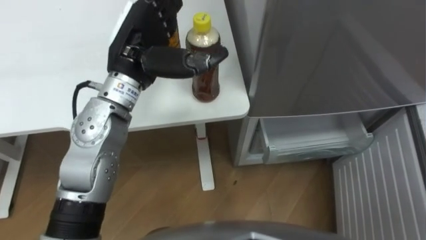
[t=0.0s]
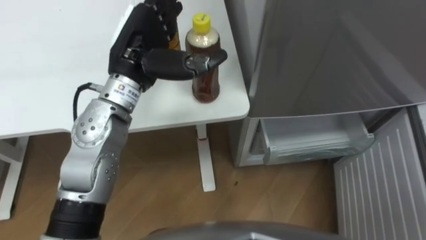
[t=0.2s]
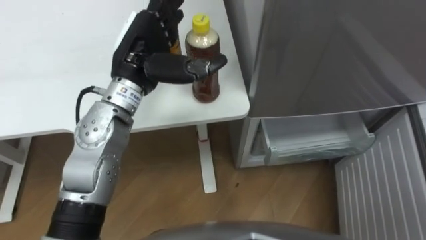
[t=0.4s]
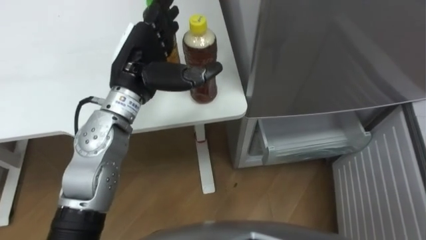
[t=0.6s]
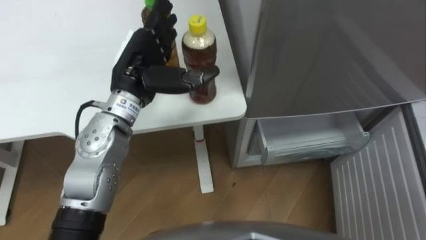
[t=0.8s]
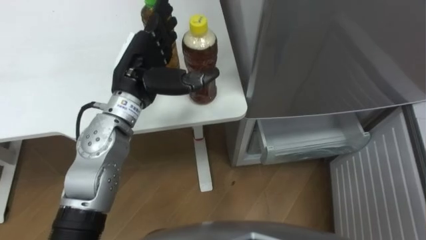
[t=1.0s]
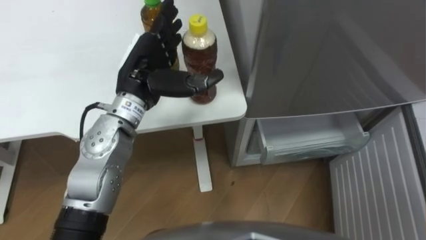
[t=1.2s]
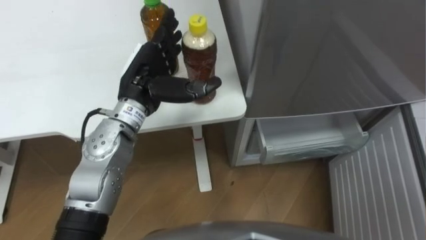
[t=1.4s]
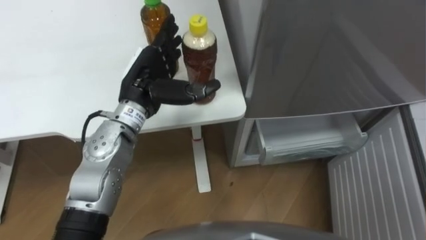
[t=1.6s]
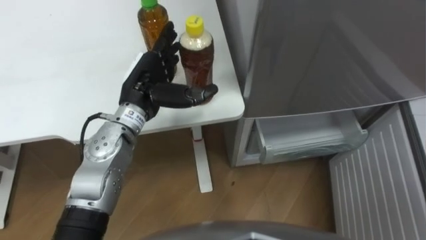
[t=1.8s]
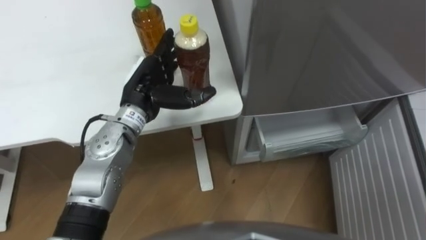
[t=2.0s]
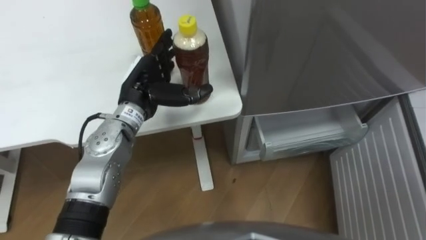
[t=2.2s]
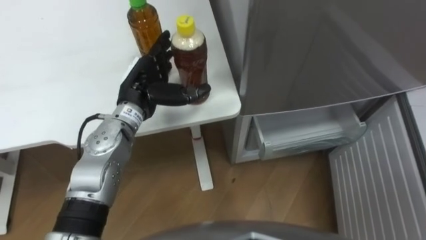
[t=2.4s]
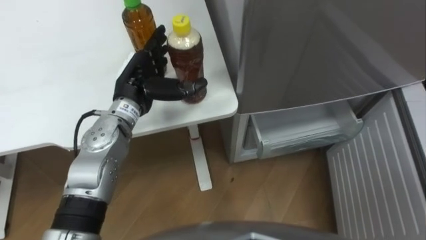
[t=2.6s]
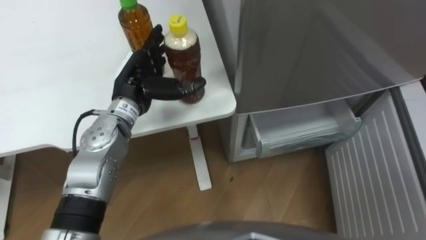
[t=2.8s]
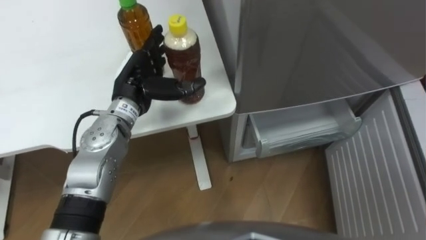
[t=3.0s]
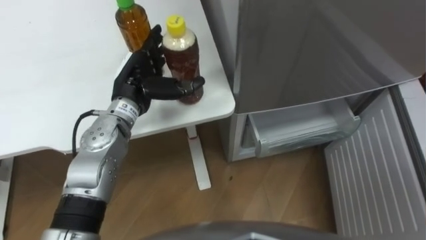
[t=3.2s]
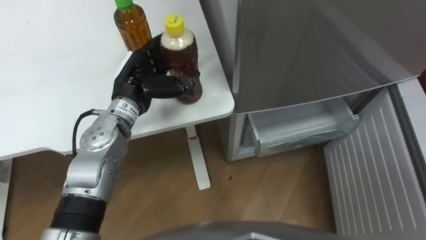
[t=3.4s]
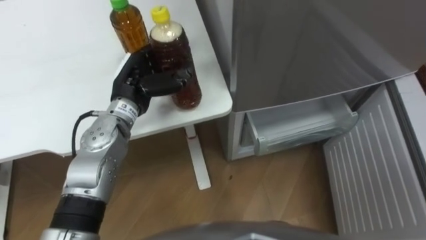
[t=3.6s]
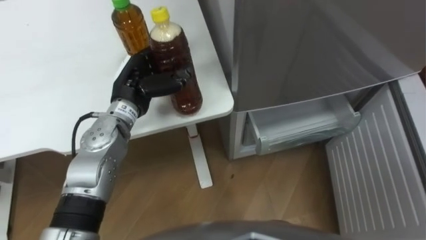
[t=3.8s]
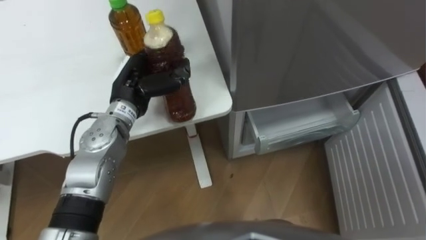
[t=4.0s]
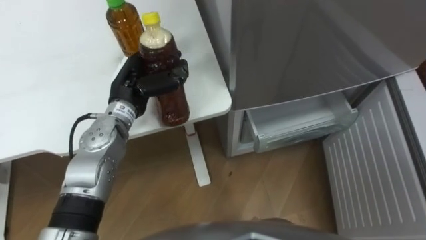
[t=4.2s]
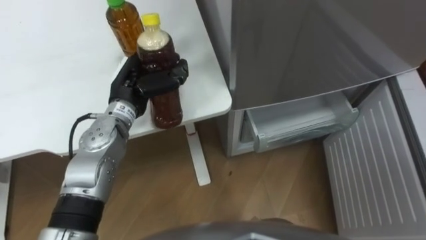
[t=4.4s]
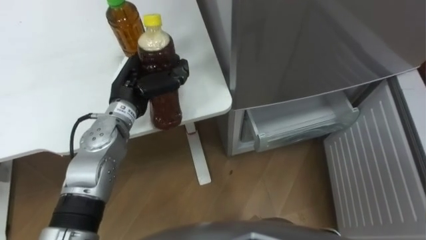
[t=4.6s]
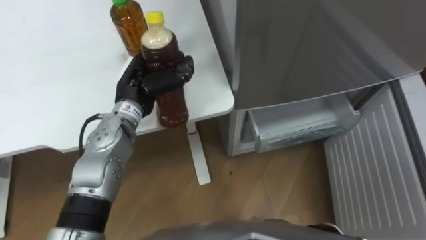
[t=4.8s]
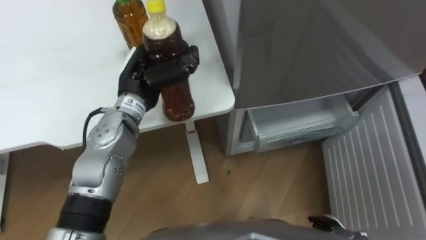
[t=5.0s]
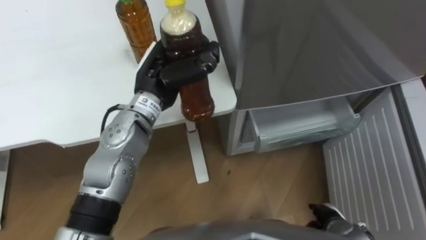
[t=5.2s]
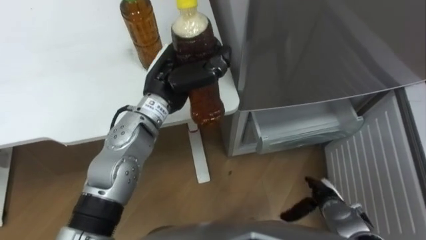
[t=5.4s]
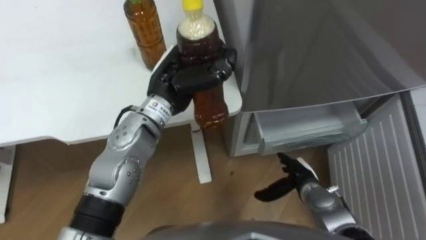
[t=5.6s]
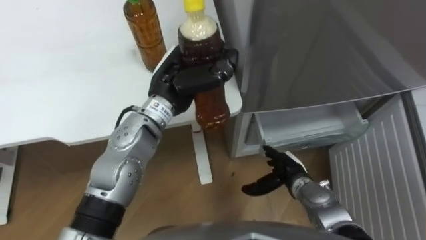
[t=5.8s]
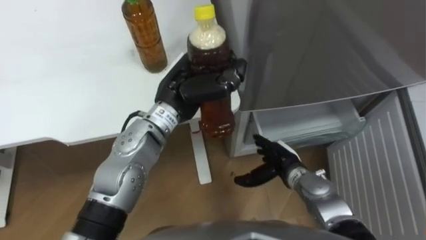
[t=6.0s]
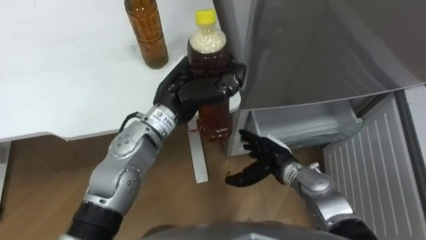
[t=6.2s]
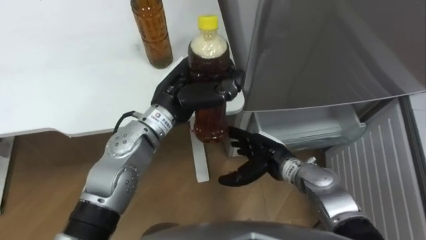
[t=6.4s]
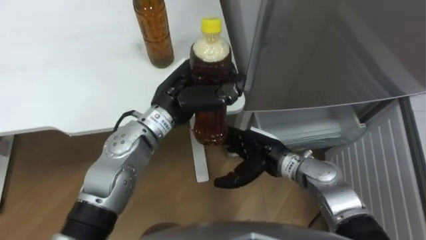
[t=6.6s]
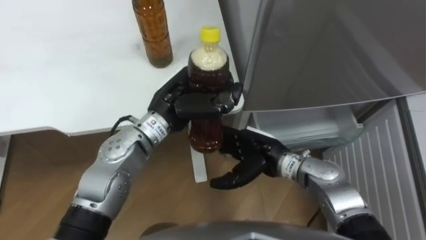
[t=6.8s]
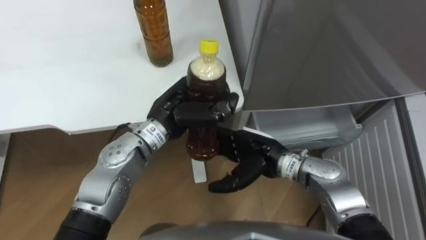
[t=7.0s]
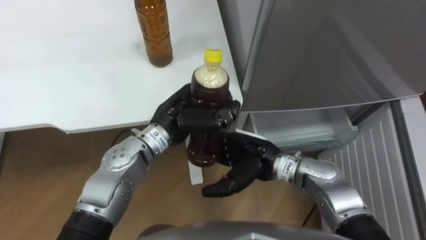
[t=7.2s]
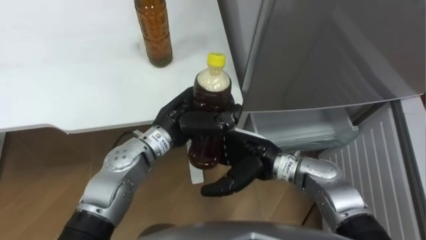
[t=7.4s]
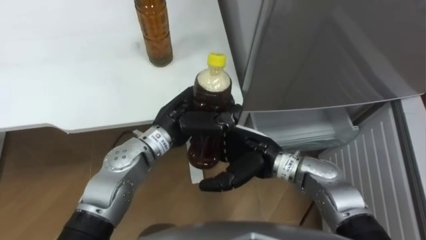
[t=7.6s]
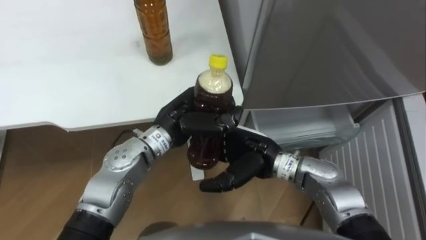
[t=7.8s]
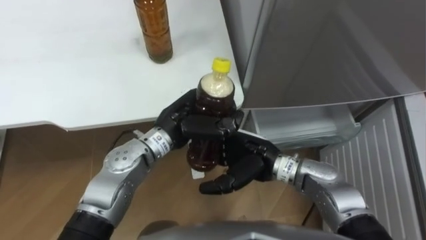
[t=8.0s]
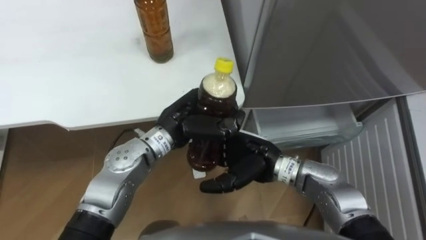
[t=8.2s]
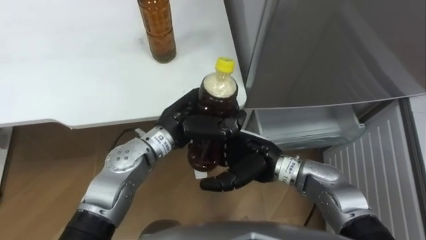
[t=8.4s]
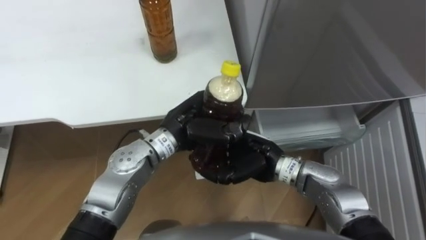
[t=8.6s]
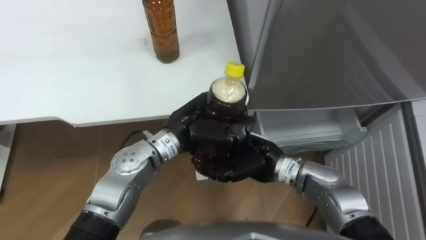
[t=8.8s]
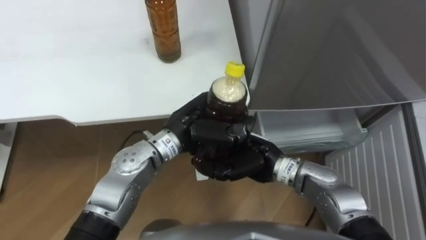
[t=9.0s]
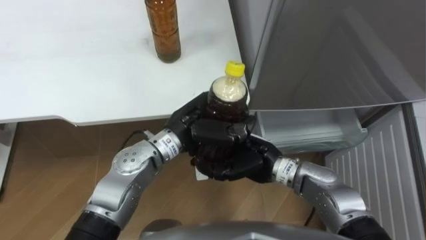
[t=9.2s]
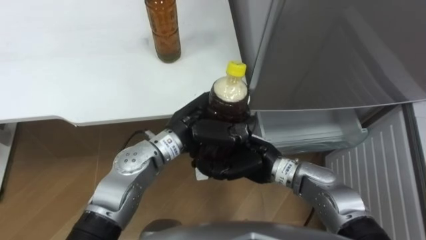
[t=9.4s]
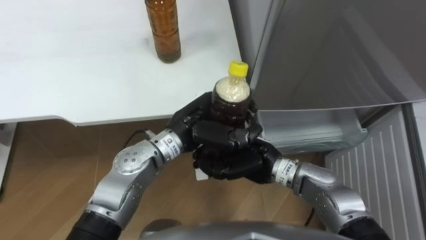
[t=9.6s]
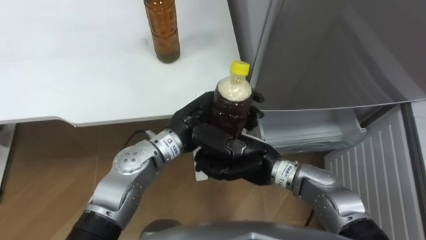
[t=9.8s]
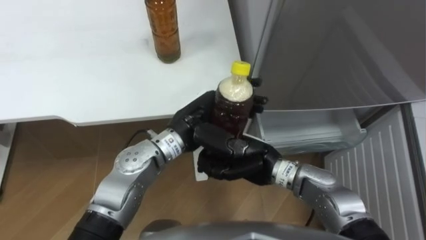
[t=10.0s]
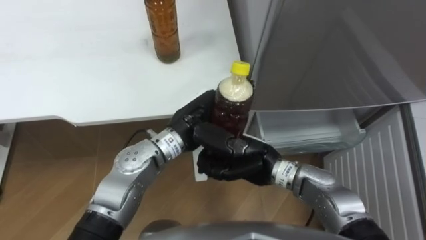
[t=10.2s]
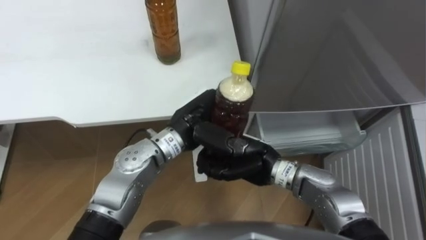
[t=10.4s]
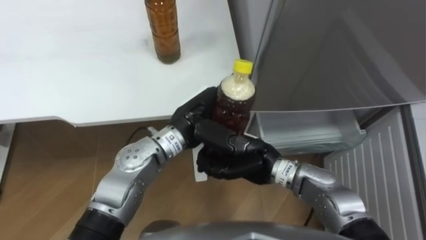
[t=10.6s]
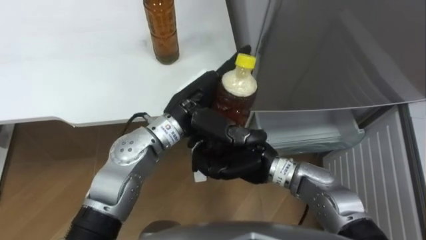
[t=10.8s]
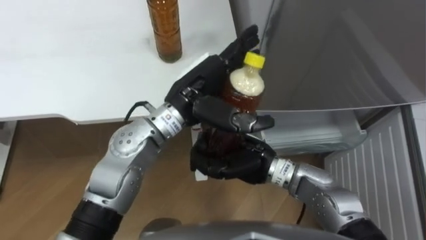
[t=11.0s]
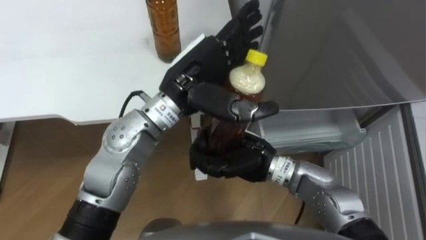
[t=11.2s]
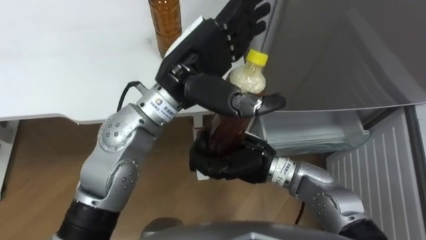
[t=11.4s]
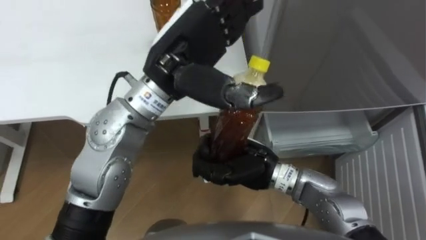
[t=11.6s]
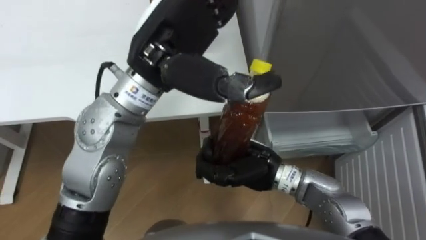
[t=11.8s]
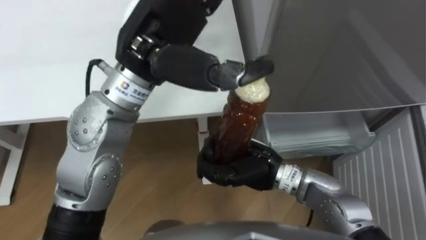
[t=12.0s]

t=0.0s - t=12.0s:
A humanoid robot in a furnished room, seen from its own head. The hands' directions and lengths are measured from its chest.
Task of the whole recording: Place the drink on the table on the bottom shelf of the refrigerator, then close the drawer and the refrigerator door.
t=0.0s - t=1.6s: The left hand shifts about 10 cm downward.
t=3.0s - t=4.4s: The left hand closes its fingers.
t=4.4s - t=6.0s: The left hand heads to the right, covering roughly 10 cm.
t=6.0s - t=7.6s: The left hand heads downward, covering some 5 cm; the right hand shifts roughly 15 cm upward and to the left.
t=7.6s - t=9.0s: The right hand closes.
t=9.0s - t=10.4s: The left hand opens its fingers.
t=10.4s - t=12.0s: The left hand goes about 20 cm upward.

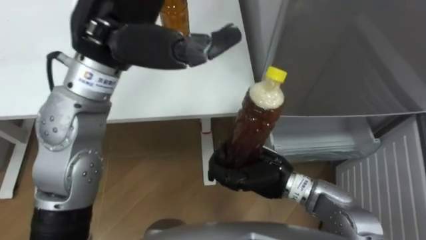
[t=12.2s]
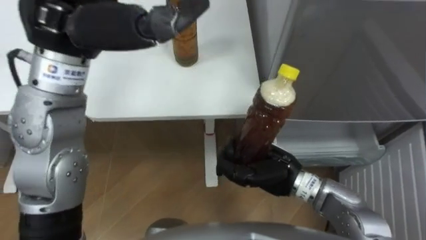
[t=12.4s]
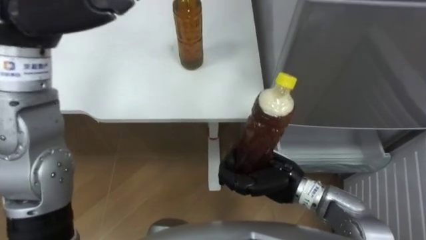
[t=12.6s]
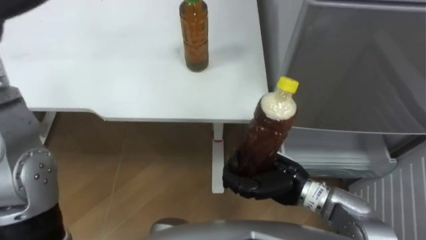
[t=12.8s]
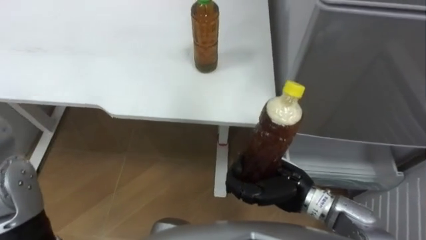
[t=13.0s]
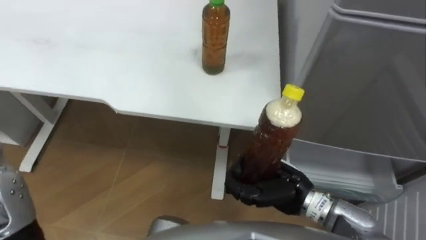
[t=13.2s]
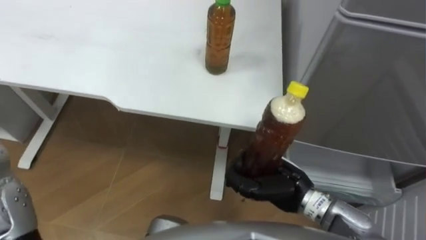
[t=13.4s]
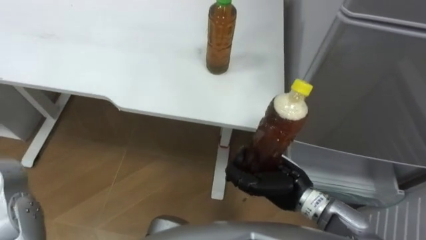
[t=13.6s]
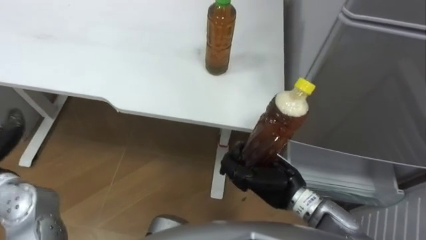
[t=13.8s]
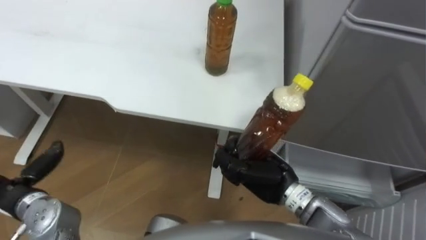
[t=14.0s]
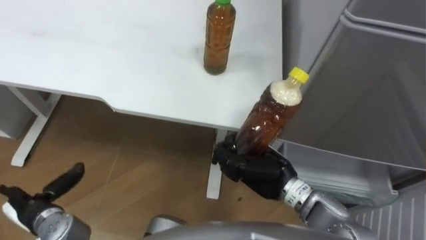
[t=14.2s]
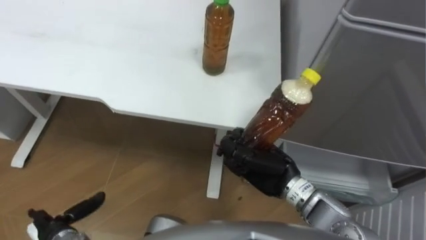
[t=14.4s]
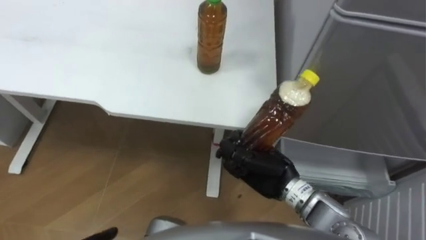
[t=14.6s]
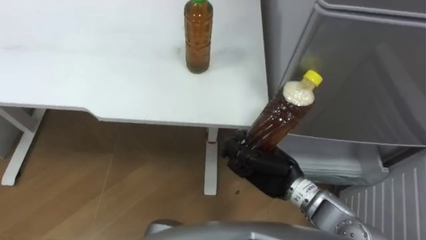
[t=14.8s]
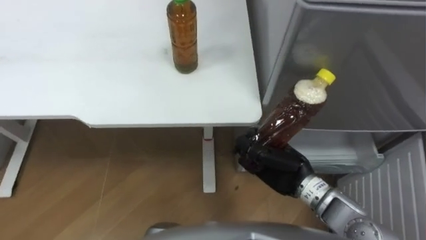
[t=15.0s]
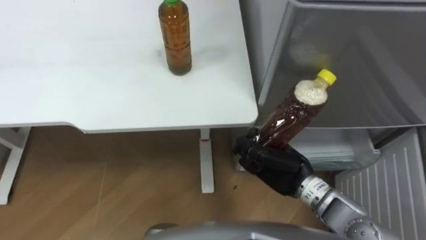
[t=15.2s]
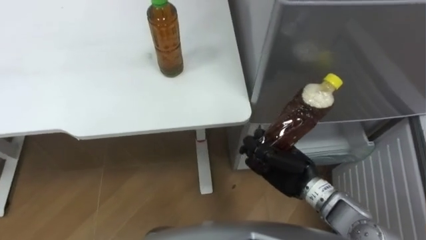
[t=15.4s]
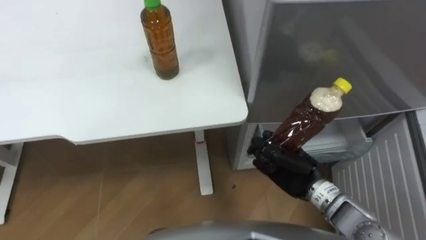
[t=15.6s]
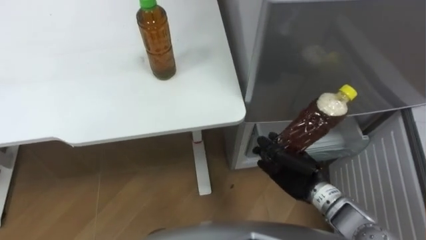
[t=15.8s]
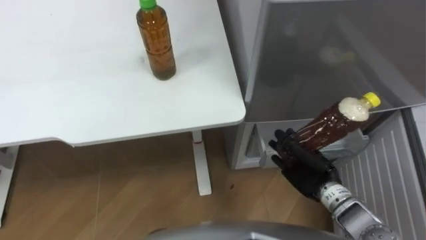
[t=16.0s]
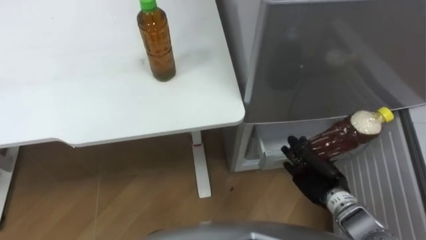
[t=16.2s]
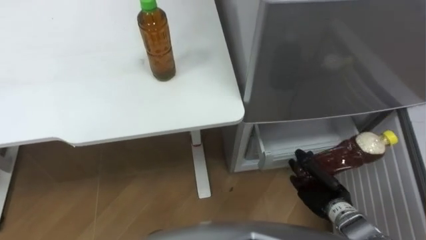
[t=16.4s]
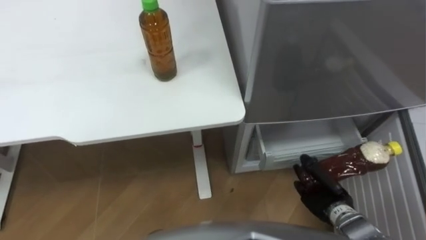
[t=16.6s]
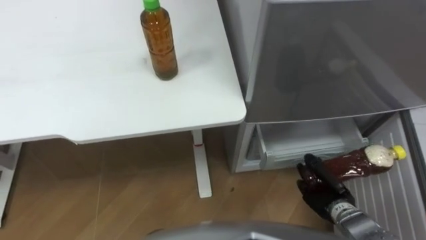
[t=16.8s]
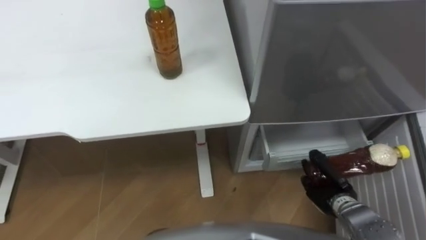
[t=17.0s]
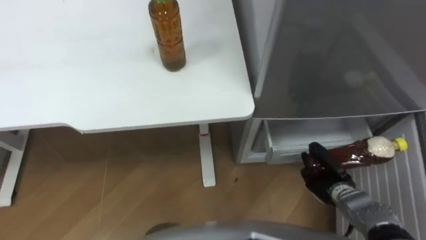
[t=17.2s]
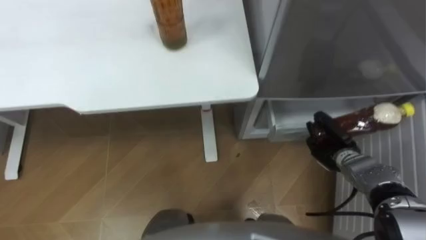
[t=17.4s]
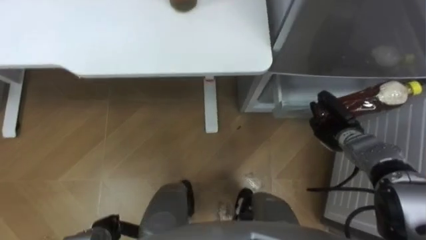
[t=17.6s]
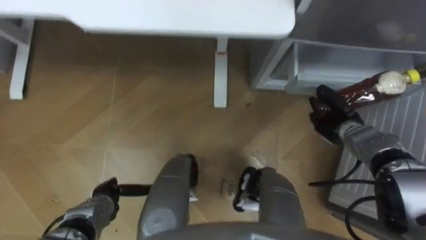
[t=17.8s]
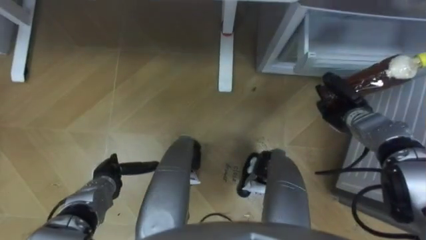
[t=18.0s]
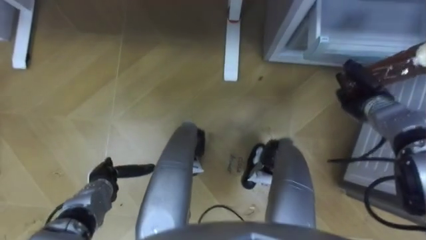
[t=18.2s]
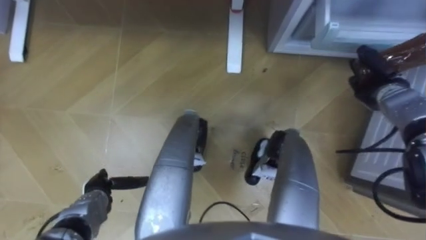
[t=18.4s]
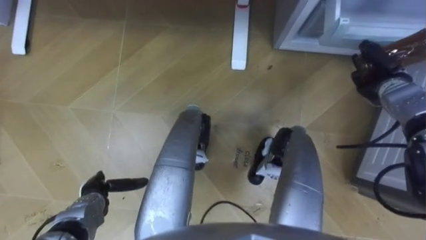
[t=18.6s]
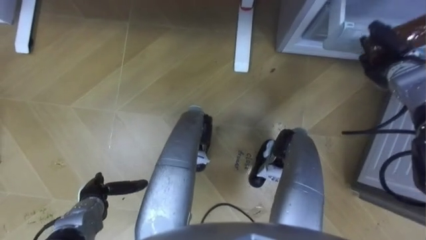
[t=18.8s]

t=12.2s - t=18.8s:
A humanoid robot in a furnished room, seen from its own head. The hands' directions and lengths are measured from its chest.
Task of the whole recording: Place the drink on the table on the bottom shelf of the refrigerator, then close the drawer and the refrigerator door.
t=15.4s - t=17.2s: The right hand travels to the right and downward by roughly 15 cm.
t=17.2s - t=18.8s: The right hand goes roughly 30 cm forward, upward and to the right.
